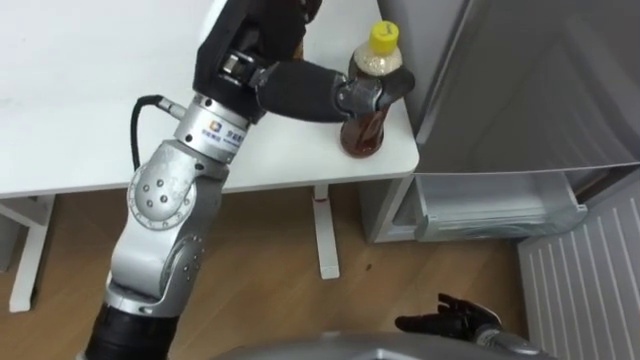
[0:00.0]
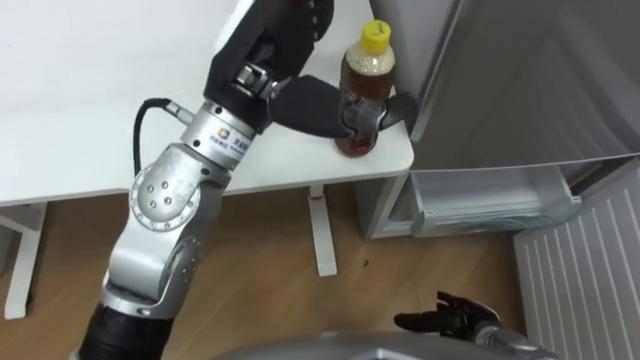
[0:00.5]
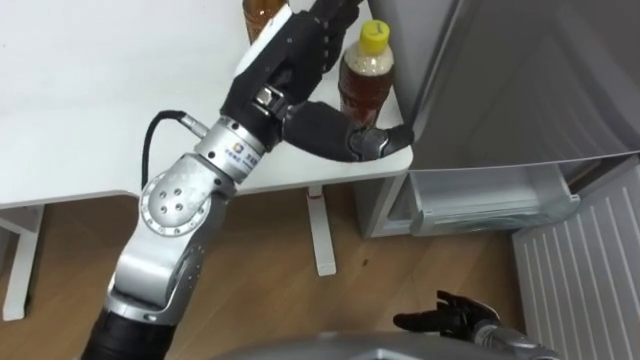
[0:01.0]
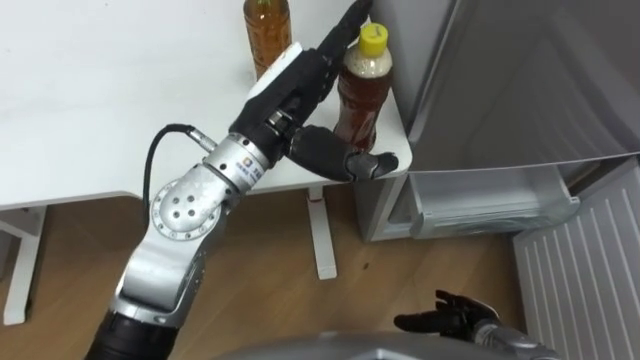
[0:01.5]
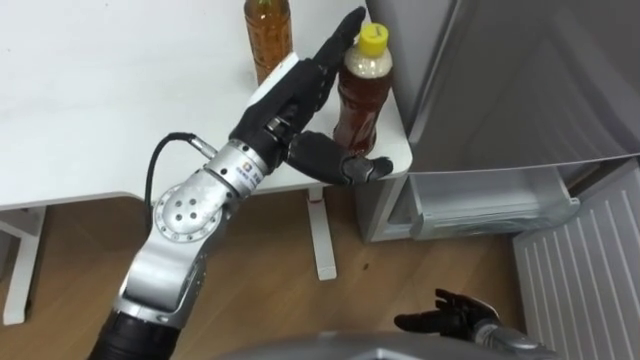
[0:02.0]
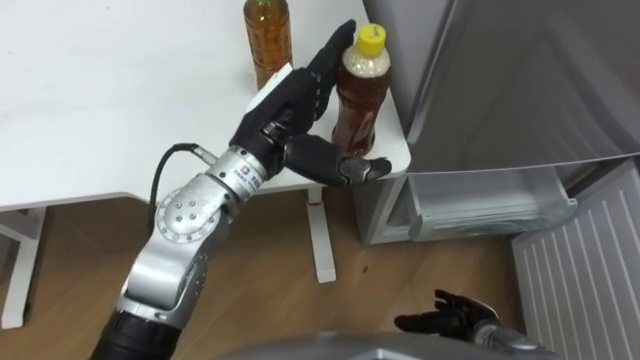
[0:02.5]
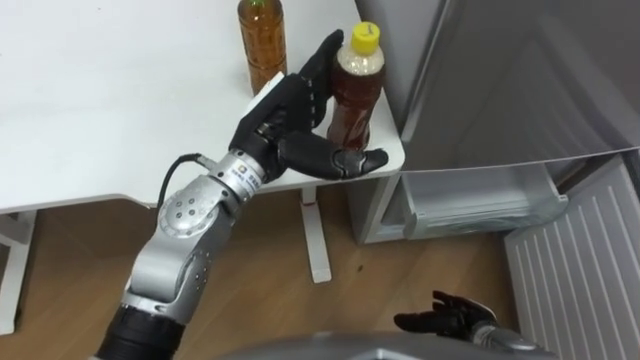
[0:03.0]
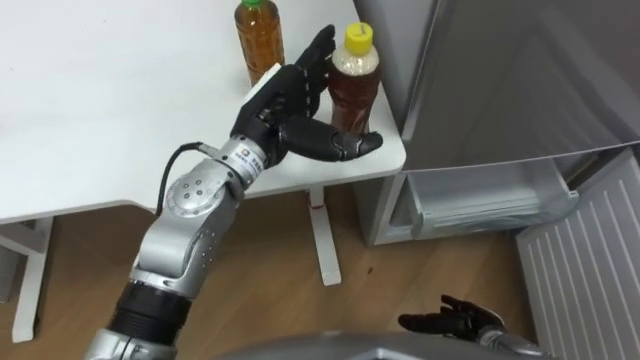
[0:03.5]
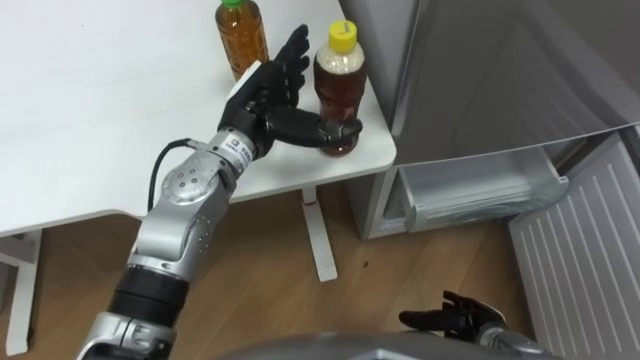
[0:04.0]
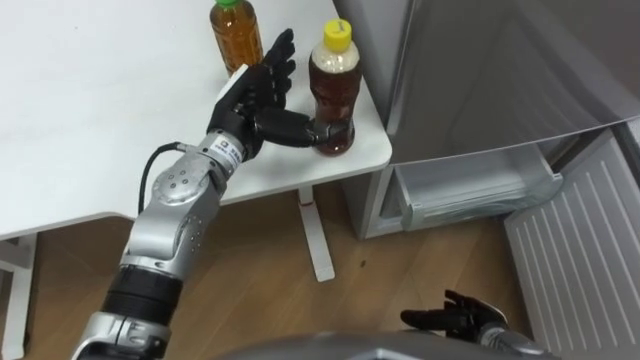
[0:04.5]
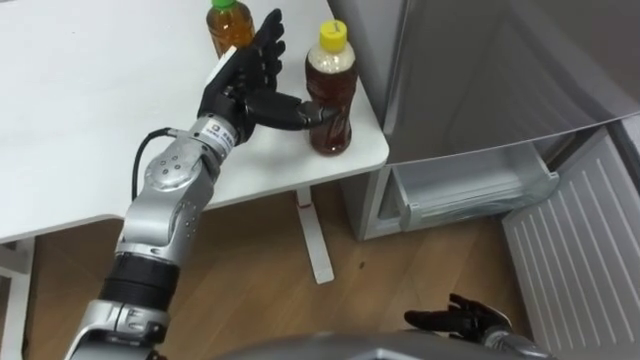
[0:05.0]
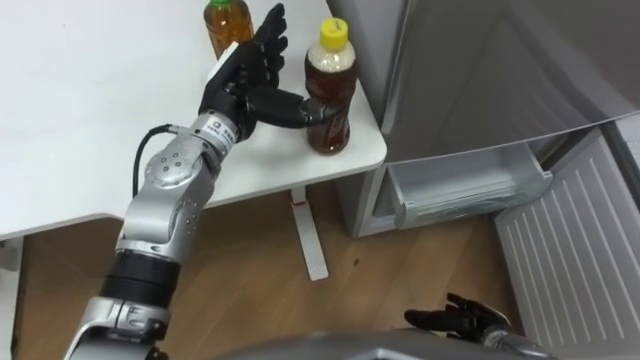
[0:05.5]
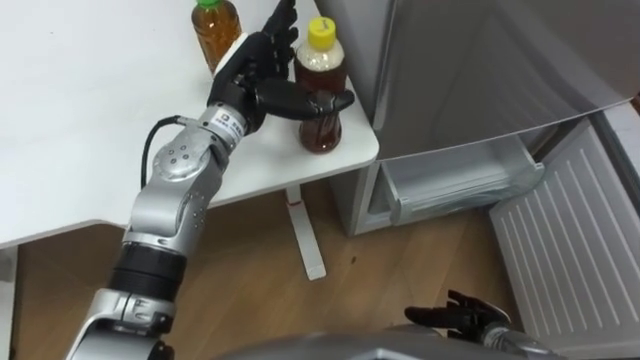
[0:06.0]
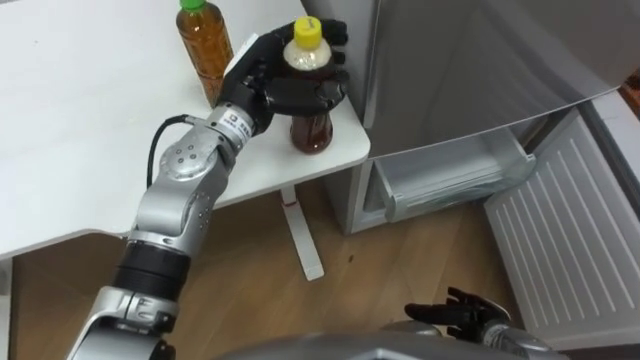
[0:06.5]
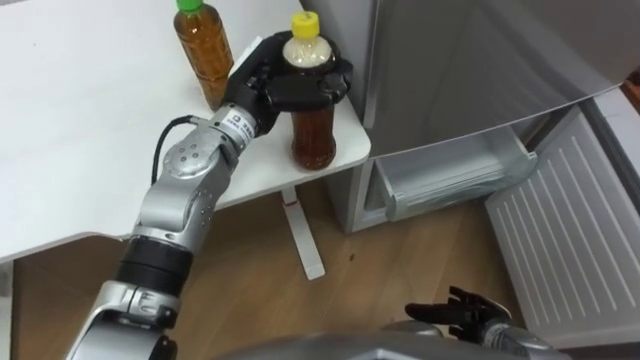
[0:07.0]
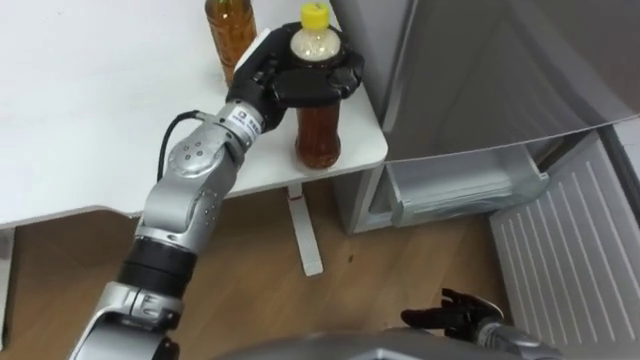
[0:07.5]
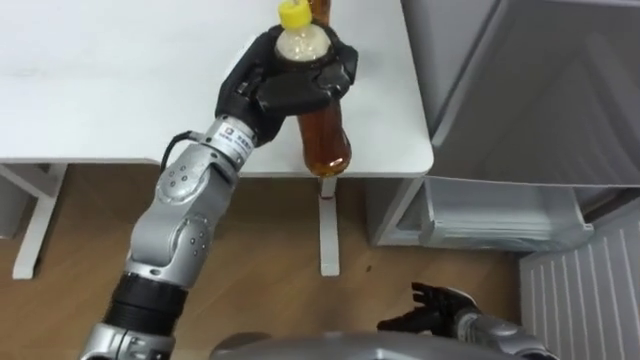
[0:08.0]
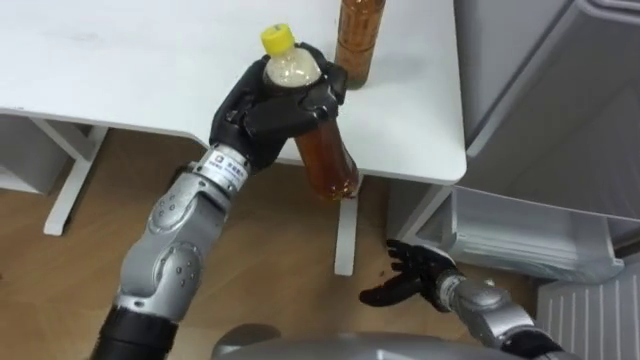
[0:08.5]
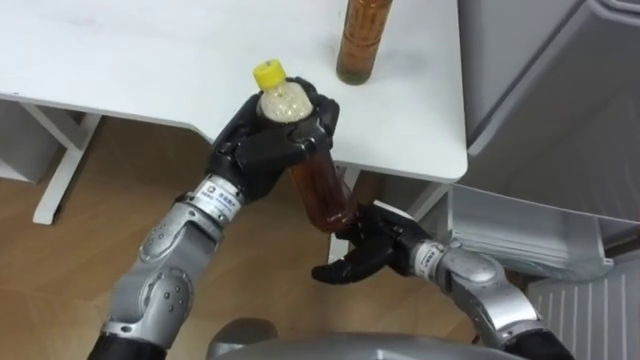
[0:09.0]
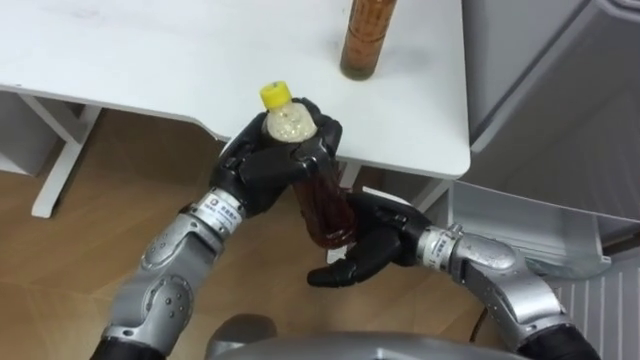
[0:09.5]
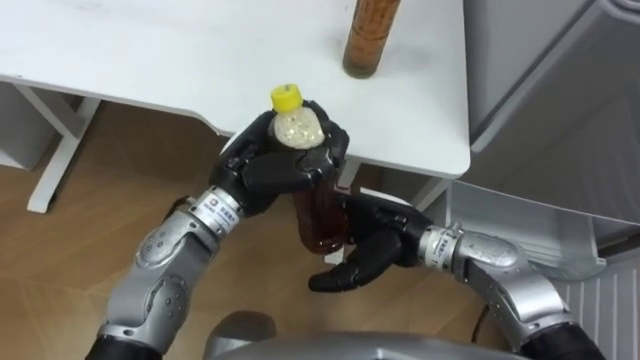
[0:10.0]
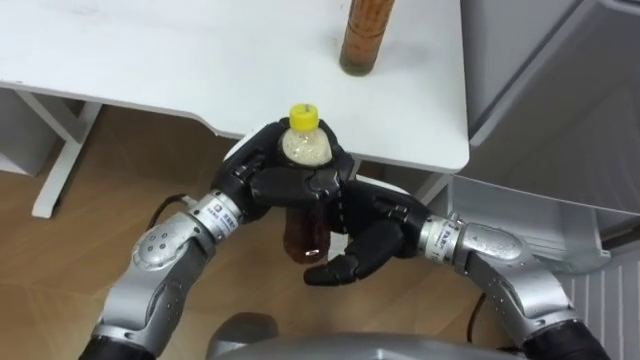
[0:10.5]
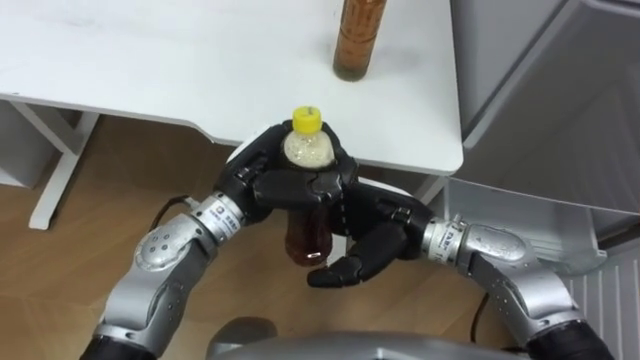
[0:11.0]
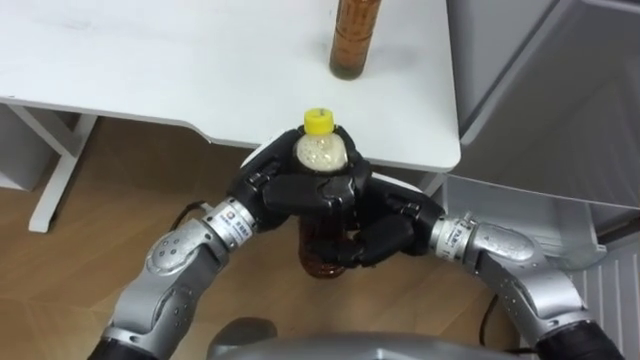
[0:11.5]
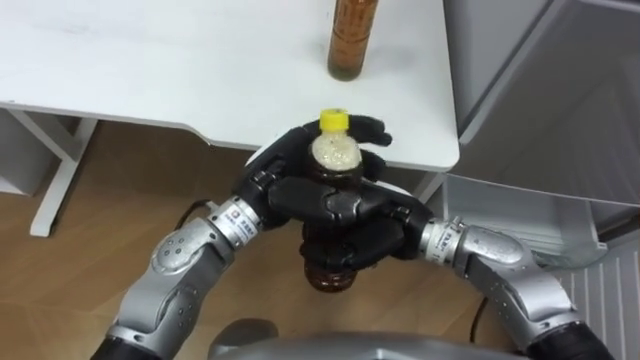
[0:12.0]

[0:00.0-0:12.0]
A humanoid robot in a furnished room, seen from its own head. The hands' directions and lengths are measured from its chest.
Task of the whole recording: Place the drink on the table on the bottom shelf of the refrigerator, then close the drawer and the refrigerator door.
0:00.0 to 0:02.0: The left hand moves downward, approximately 10 cm.
0:02.0 to 0:04.0: The left hand moves downward, about 5 cm.
0:06.0 to 0:08.0: The left hand closes its fingers.
0:08.0 to 0:10.0: The left hand goes about 10 cm backward and downward, while the right hand heads upward, to the left and forward, covering about 25 cm.
0:10.0 to 0:12.0: The right hand closes up.

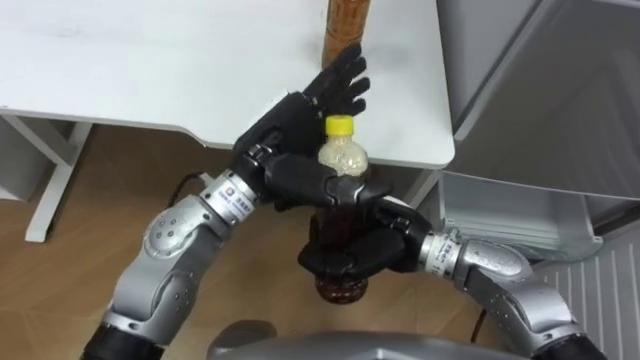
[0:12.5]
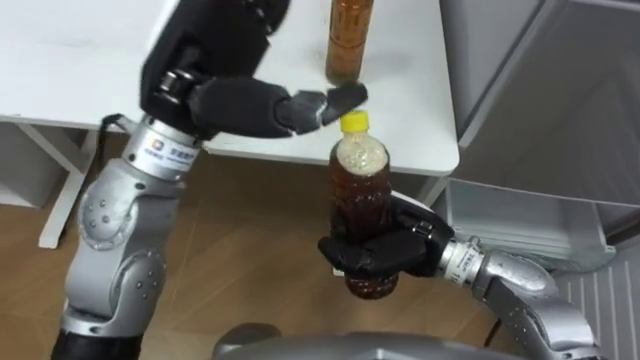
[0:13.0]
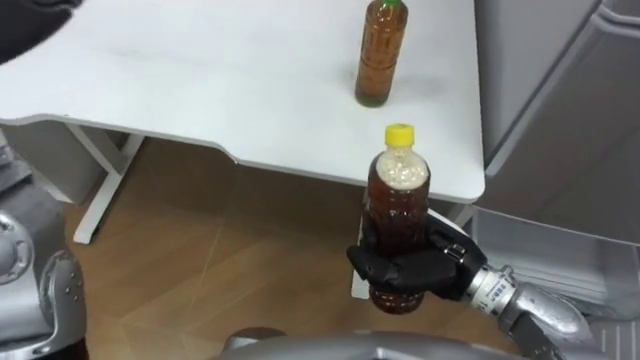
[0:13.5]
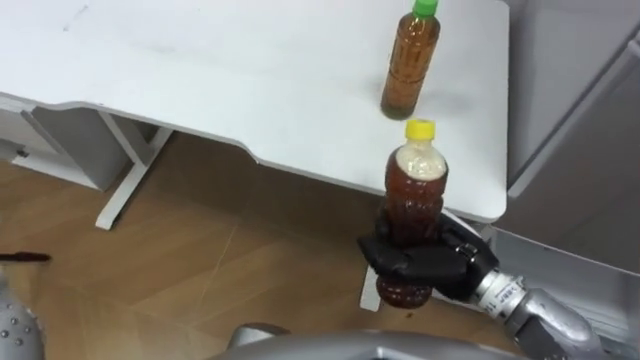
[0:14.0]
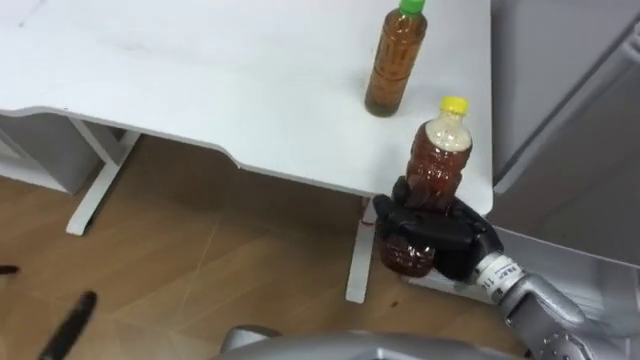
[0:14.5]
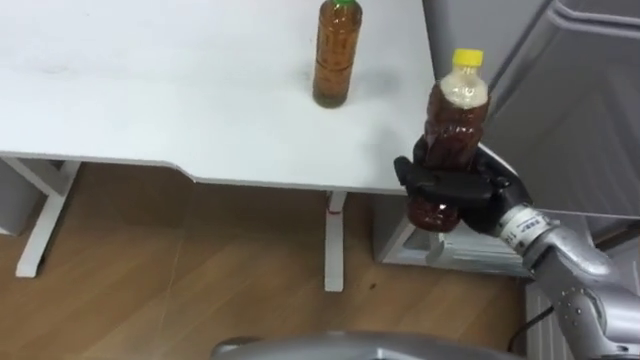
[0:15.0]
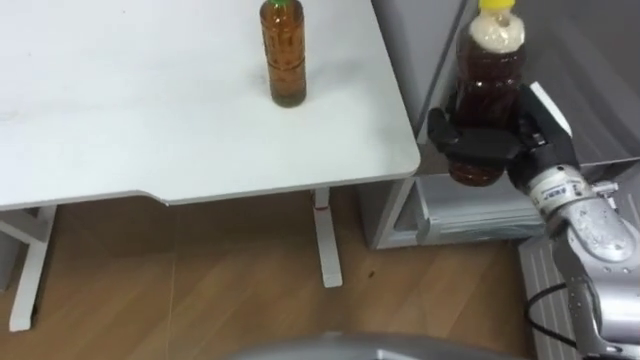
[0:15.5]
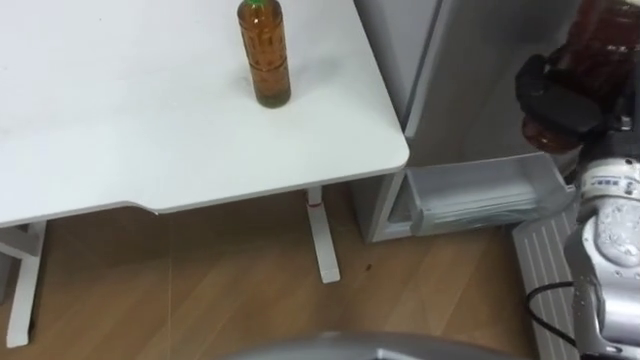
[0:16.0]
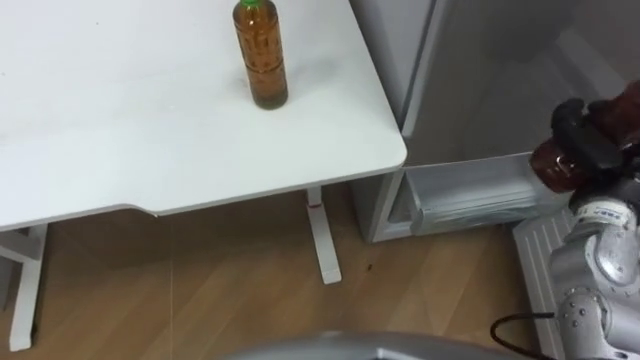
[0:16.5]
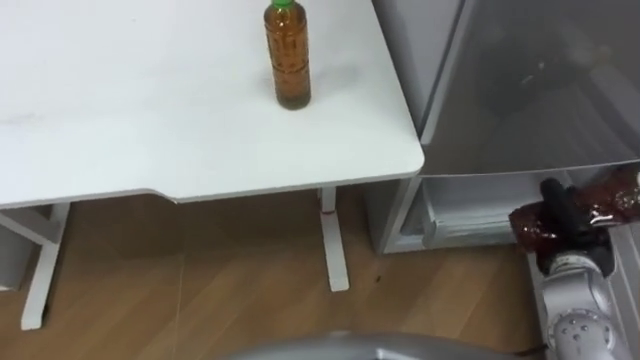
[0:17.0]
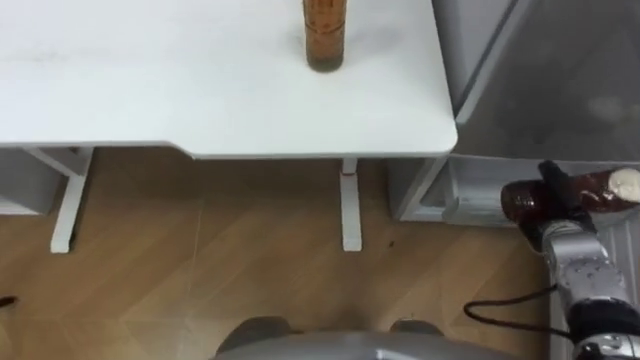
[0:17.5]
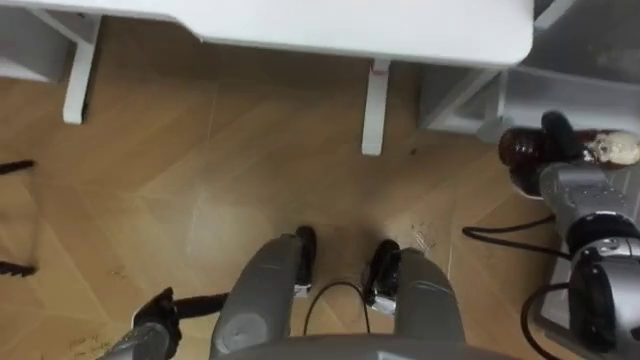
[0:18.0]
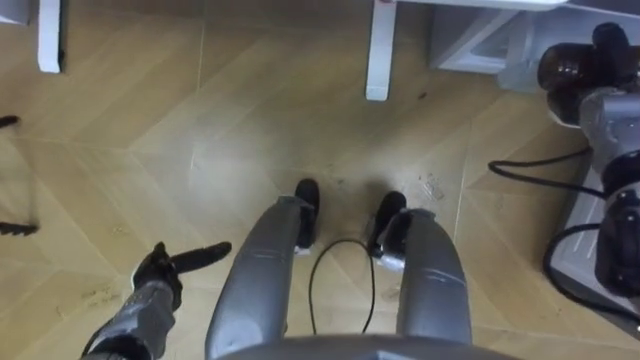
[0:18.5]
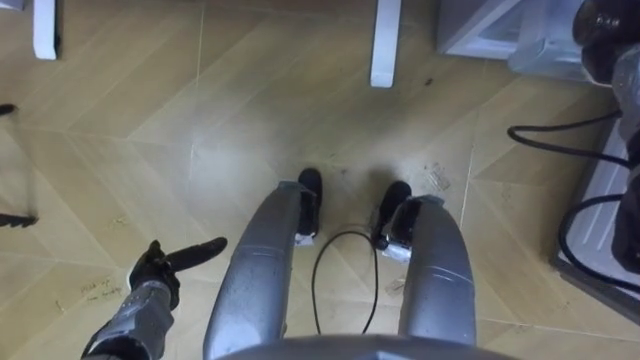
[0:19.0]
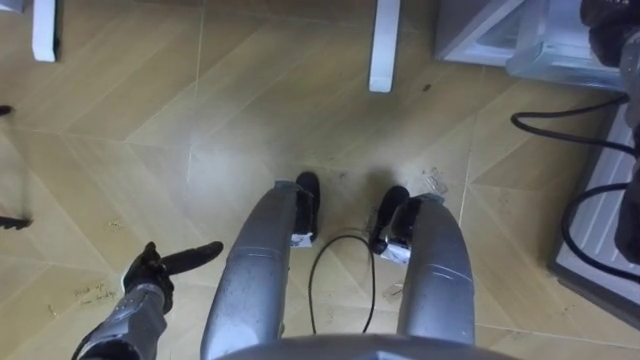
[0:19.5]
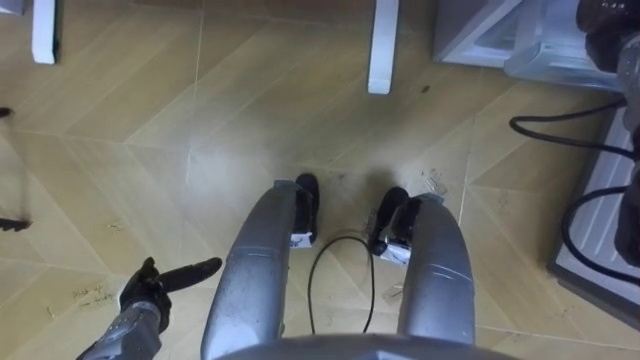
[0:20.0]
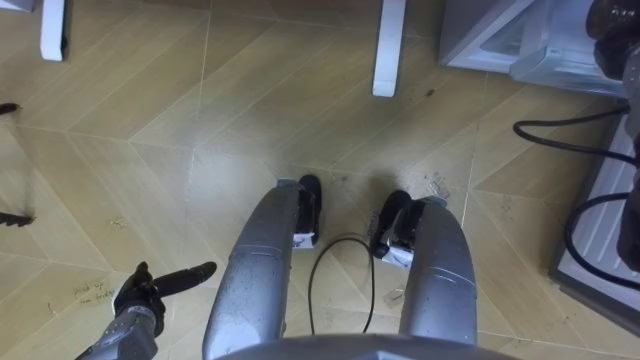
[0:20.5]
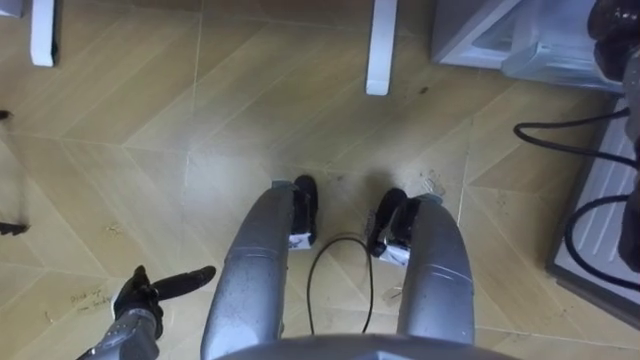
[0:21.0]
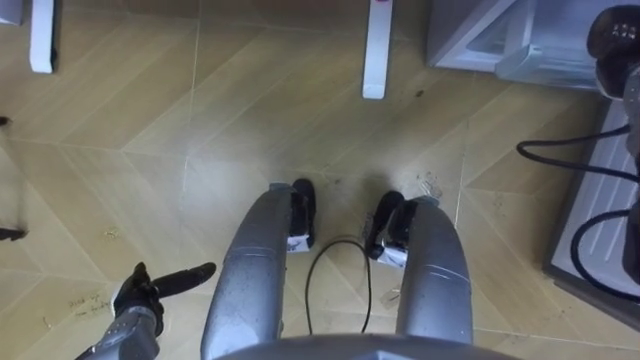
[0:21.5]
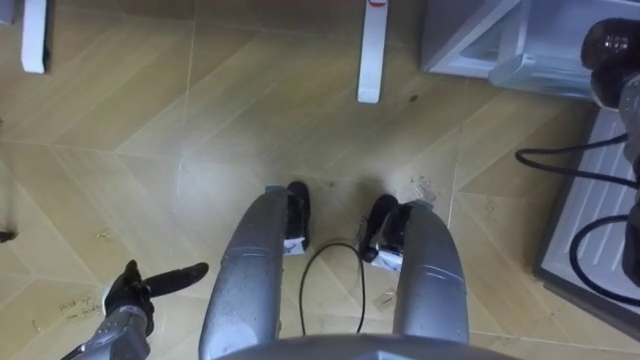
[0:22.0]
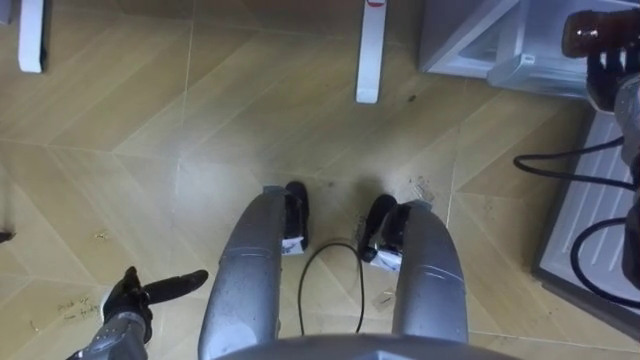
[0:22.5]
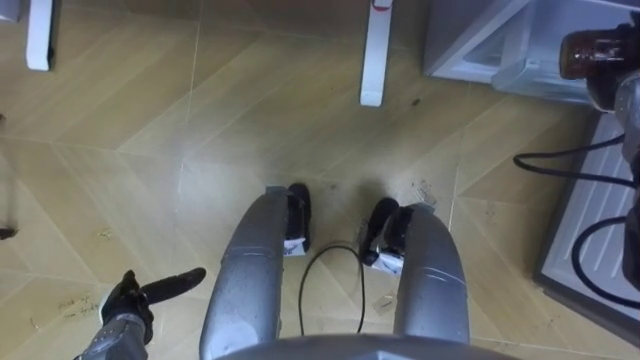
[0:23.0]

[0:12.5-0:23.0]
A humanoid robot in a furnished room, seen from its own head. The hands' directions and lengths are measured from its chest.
Task of the whole recording: Place the drink on the table on the bottom shelf of the refrigerator, then close the drawer and the refrigerator door.
0:12.5 to 0:14.5: The right hand goes some 10 cm to the right.
0:14.5 to 0:16.5: The right hand travels to the right by approximately 15 cm.
0:16.5 to 0:19.0: The right hand travels forward by some 15 cm.
0:21.0 to 0:23.0: The right hand opens, then closes again.
